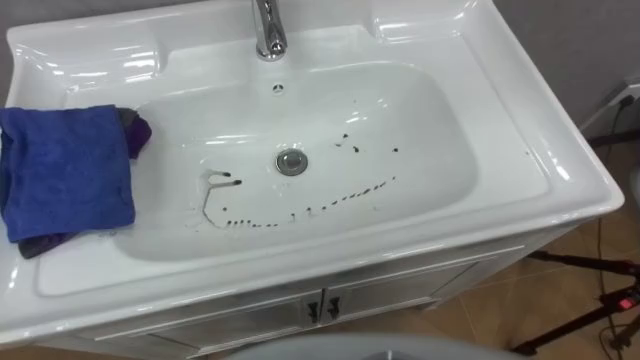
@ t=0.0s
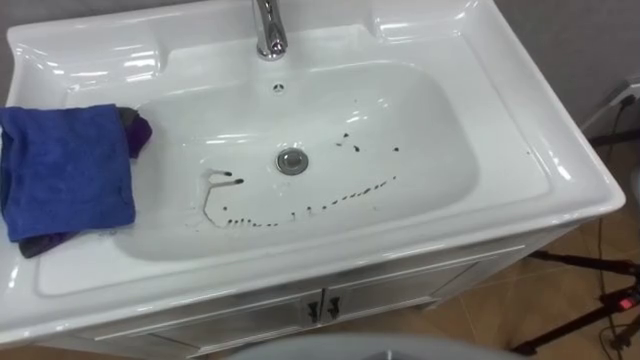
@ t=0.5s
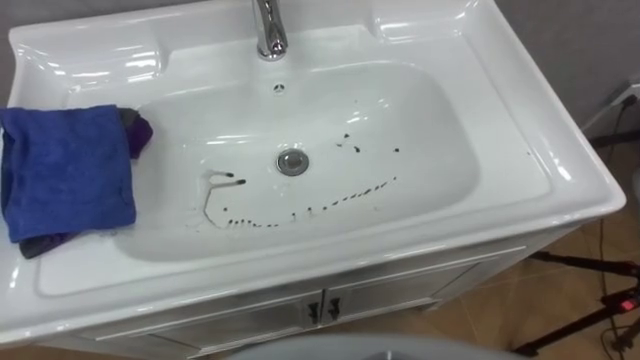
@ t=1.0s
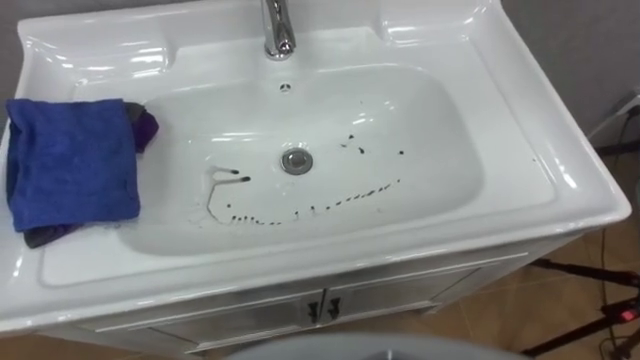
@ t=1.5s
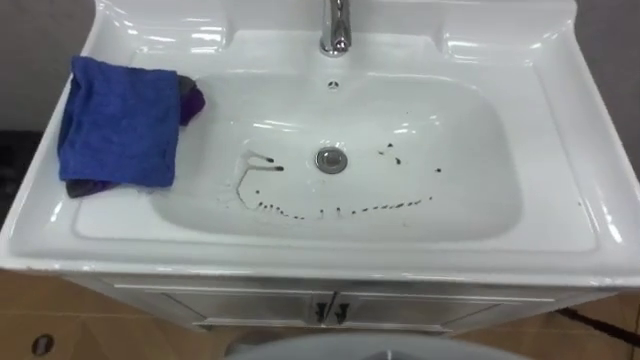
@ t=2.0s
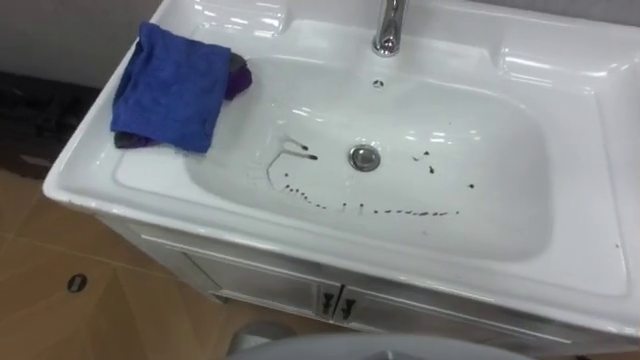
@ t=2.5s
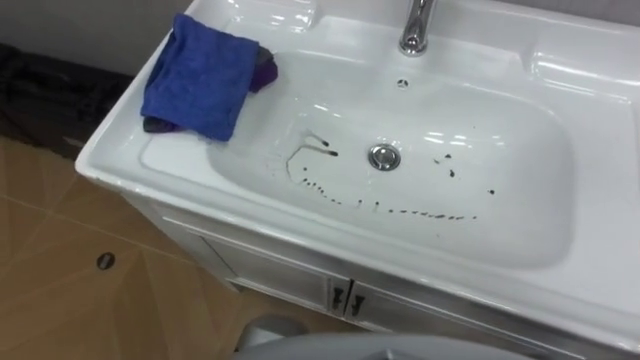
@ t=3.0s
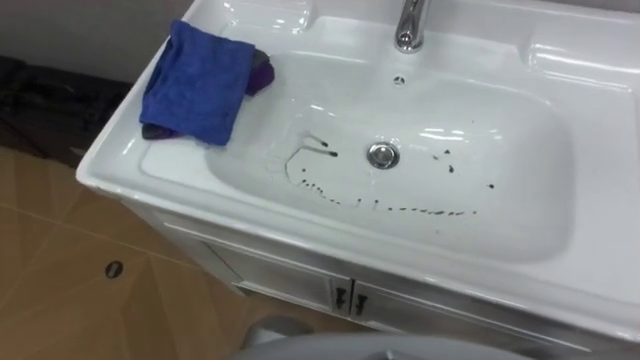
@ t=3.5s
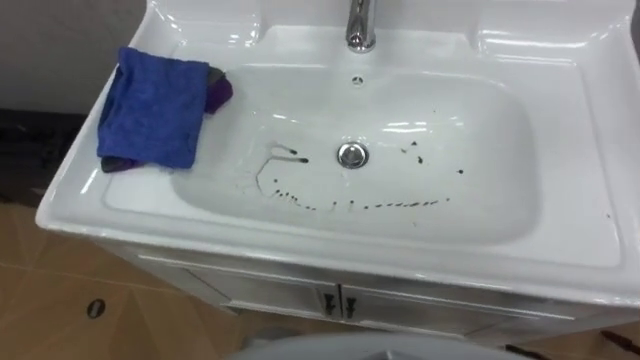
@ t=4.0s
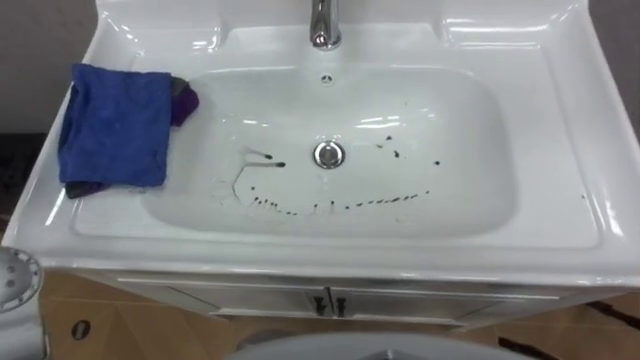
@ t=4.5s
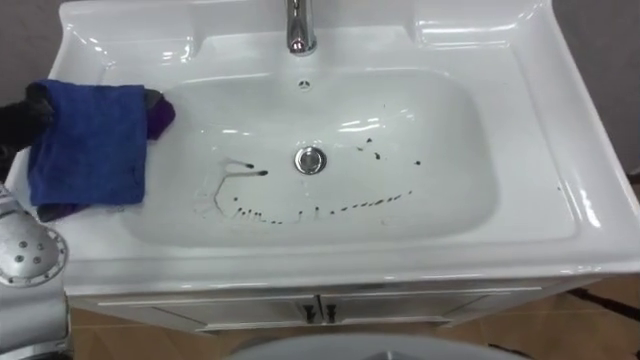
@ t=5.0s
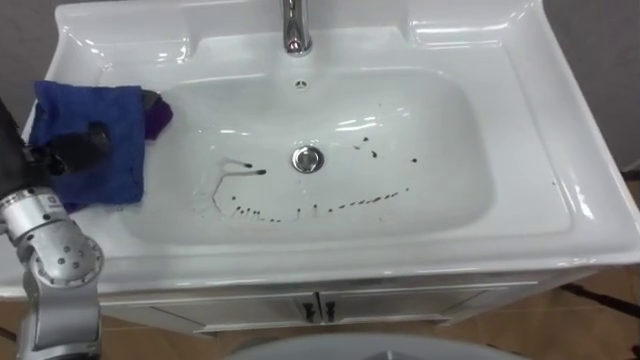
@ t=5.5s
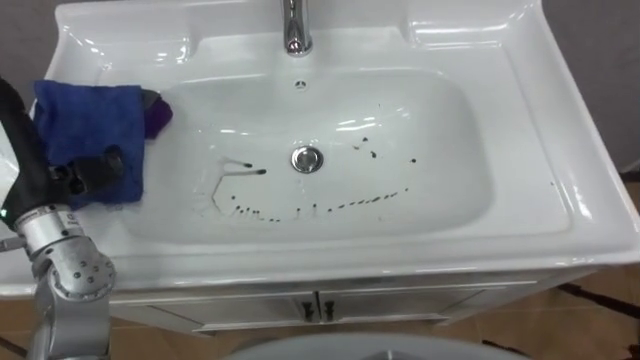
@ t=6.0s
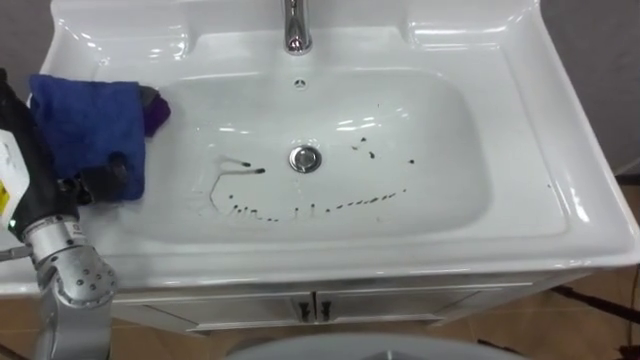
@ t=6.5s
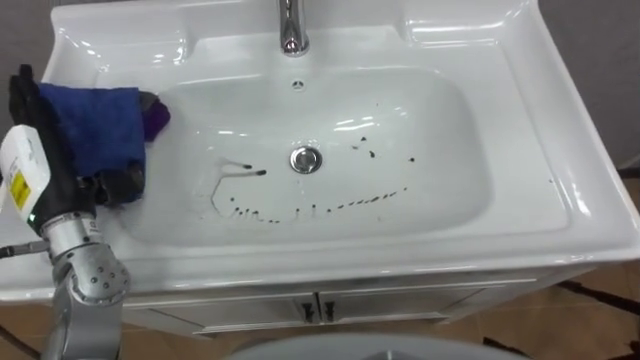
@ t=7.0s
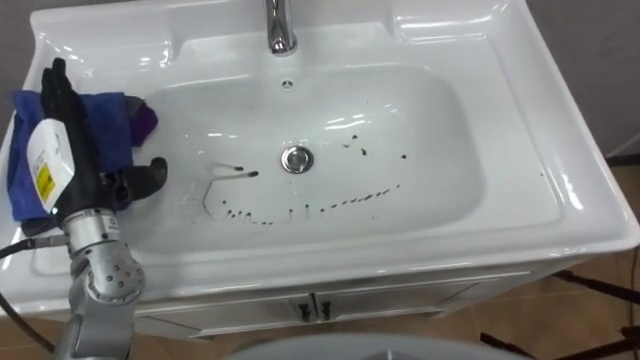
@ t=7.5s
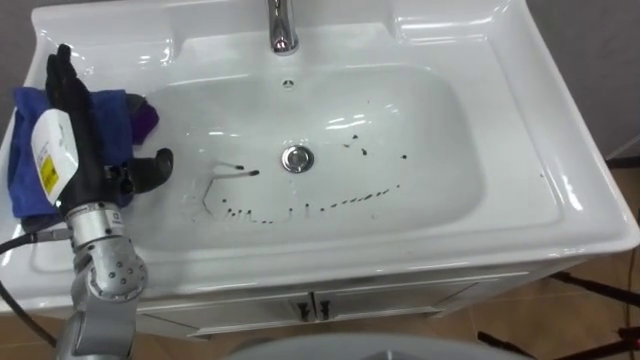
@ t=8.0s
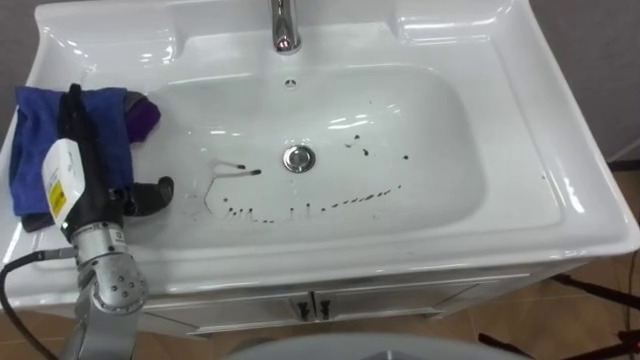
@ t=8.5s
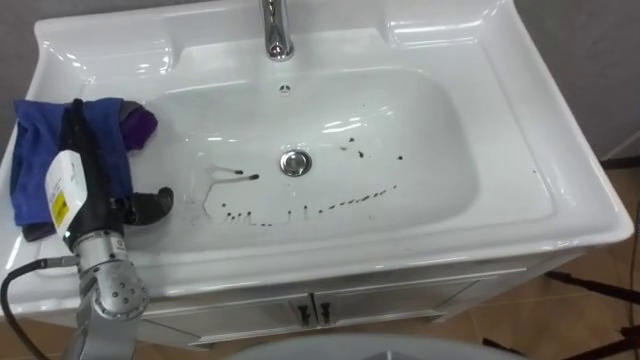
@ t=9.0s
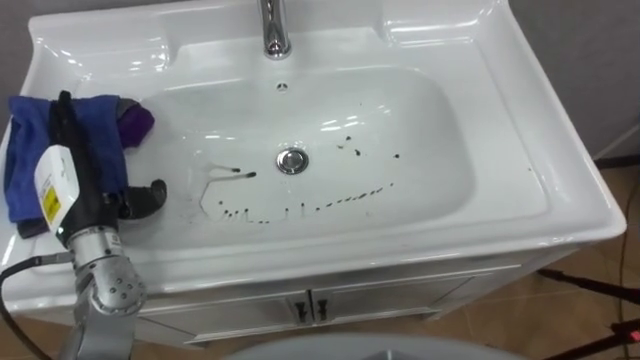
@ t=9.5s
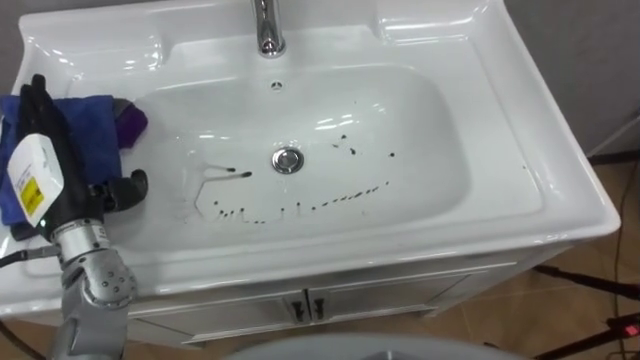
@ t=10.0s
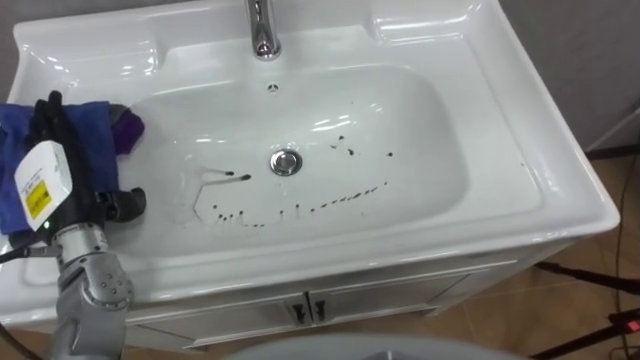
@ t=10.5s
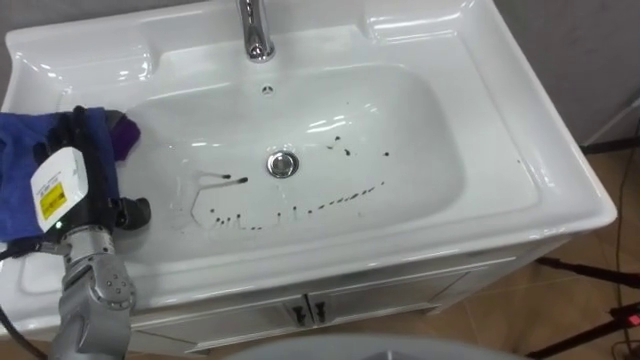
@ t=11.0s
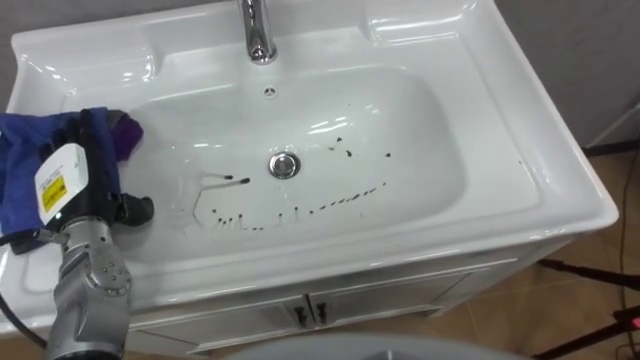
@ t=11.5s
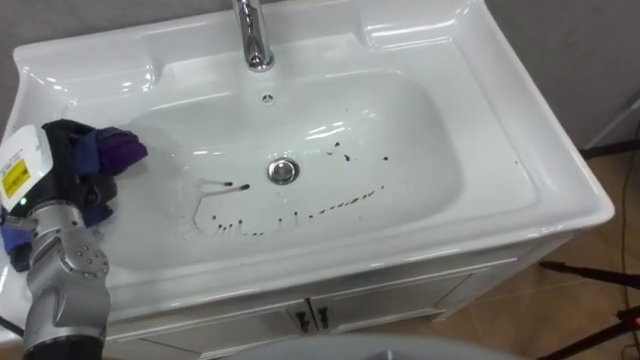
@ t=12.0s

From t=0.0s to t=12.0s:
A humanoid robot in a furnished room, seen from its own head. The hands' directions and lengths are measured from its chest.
Task of the whole recording: Use the cloth on the right to wipe away the black stain in the sink.
From t=6.0s to t=8.0s: The left hand moves about 5 cm.
From t=10.0s to t=12.0s: The left hand closes its fingers.

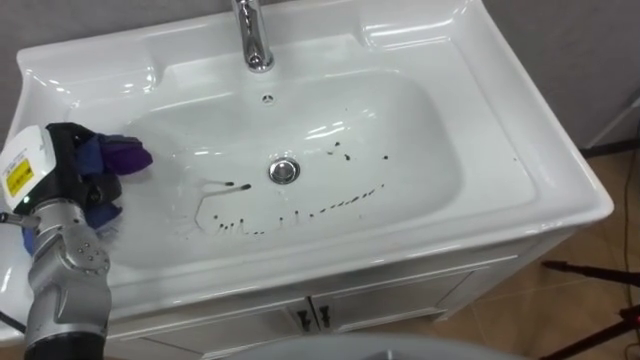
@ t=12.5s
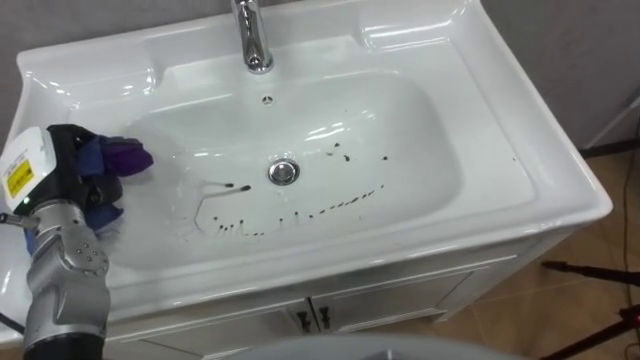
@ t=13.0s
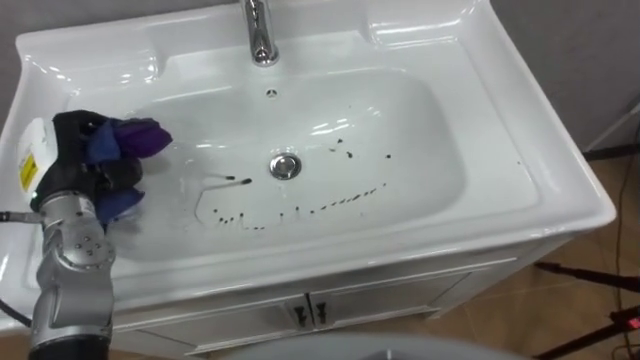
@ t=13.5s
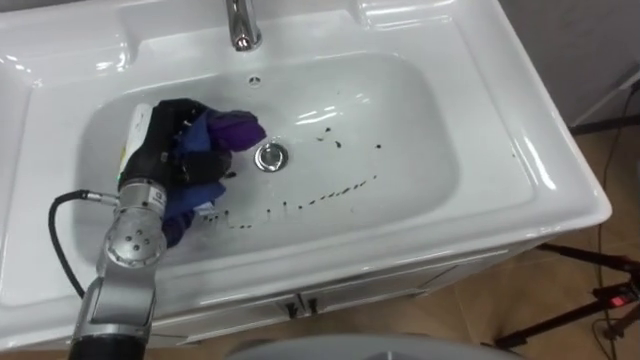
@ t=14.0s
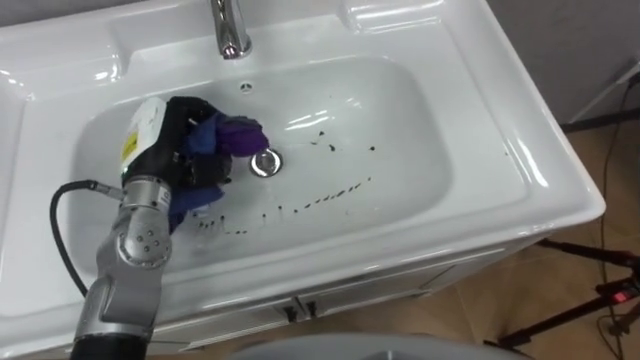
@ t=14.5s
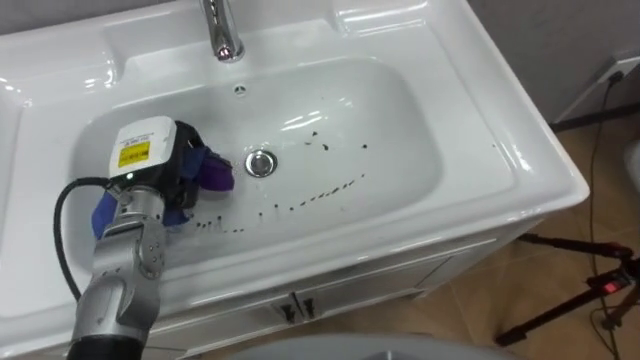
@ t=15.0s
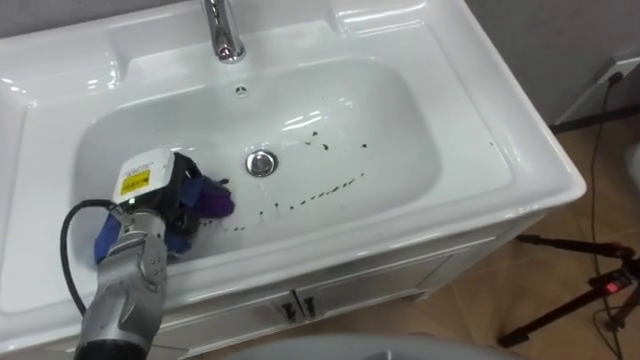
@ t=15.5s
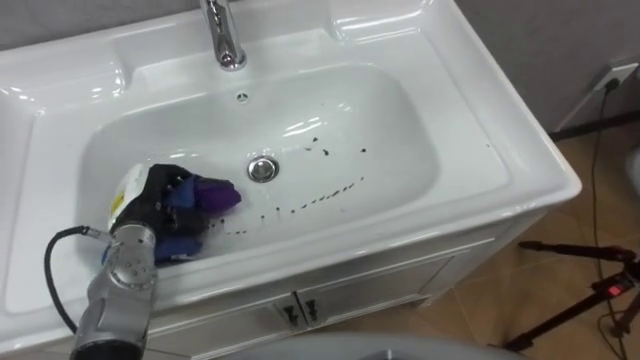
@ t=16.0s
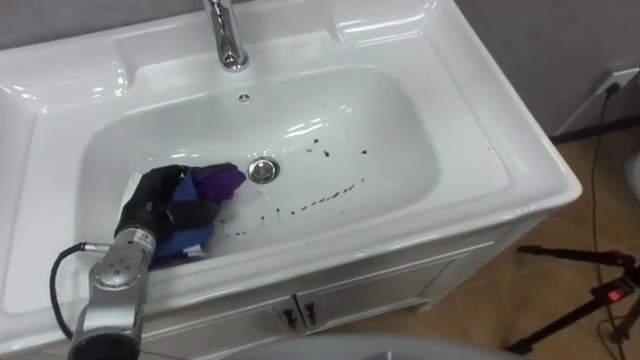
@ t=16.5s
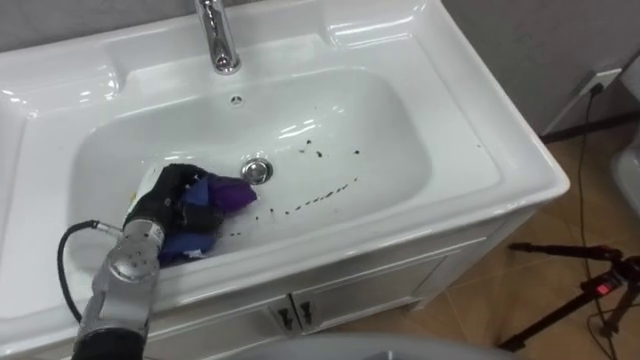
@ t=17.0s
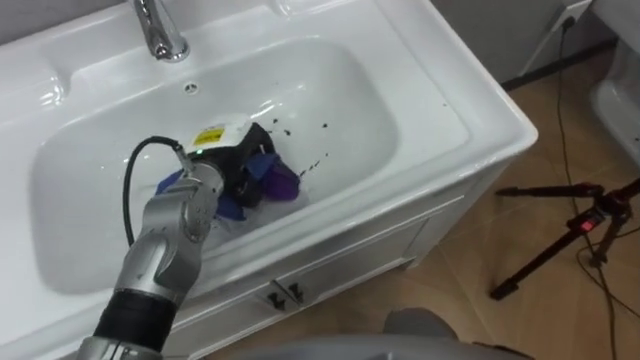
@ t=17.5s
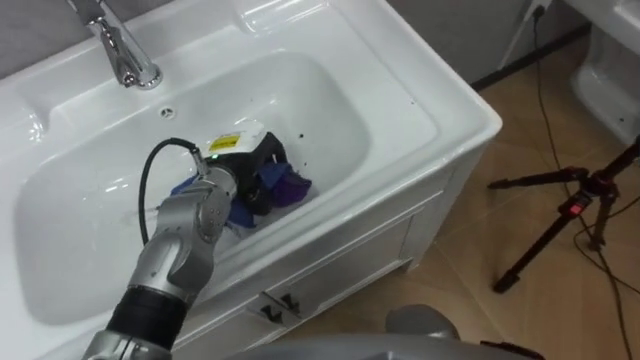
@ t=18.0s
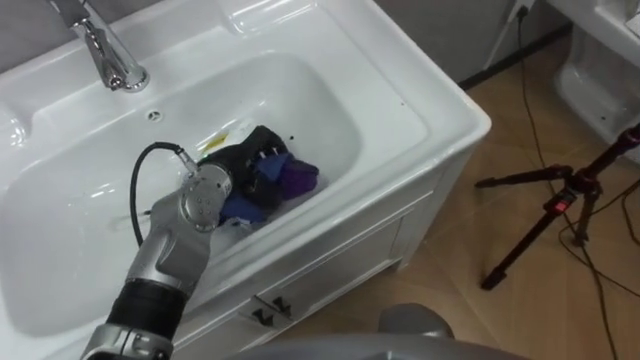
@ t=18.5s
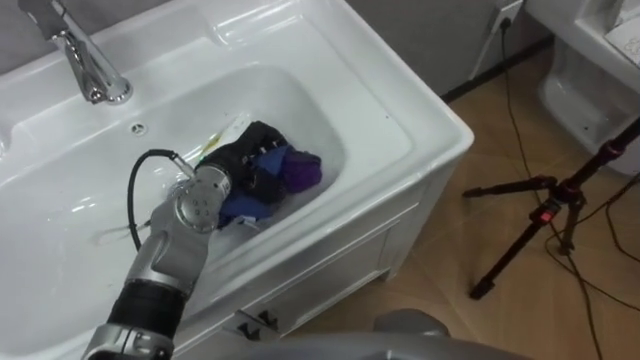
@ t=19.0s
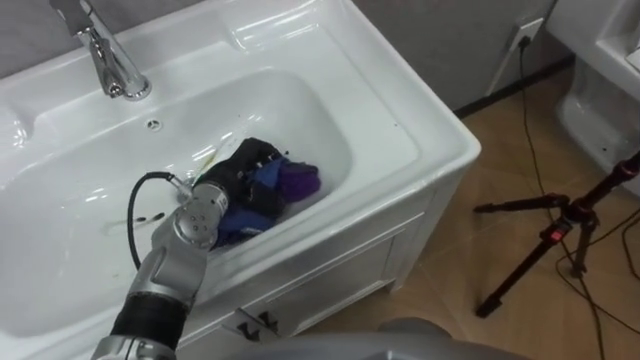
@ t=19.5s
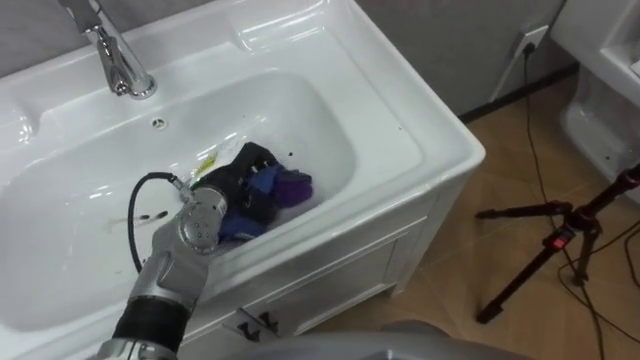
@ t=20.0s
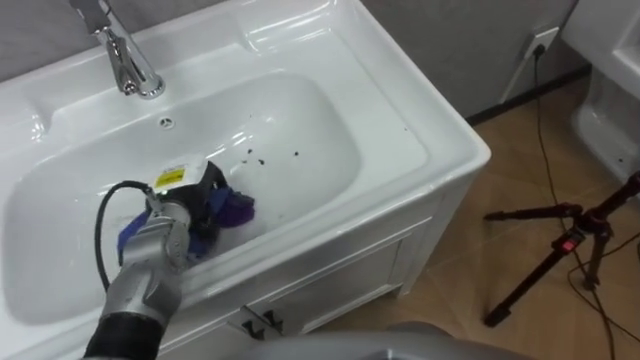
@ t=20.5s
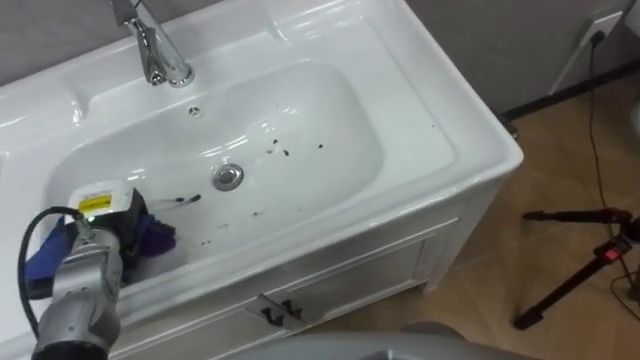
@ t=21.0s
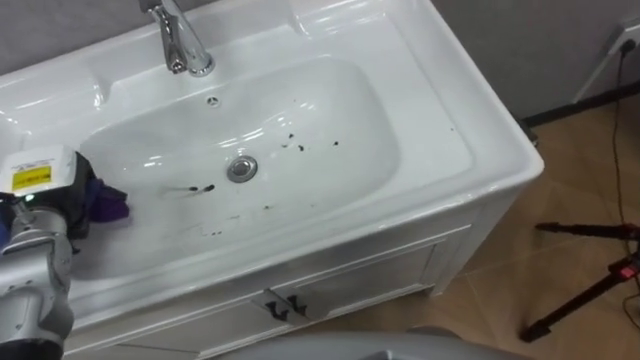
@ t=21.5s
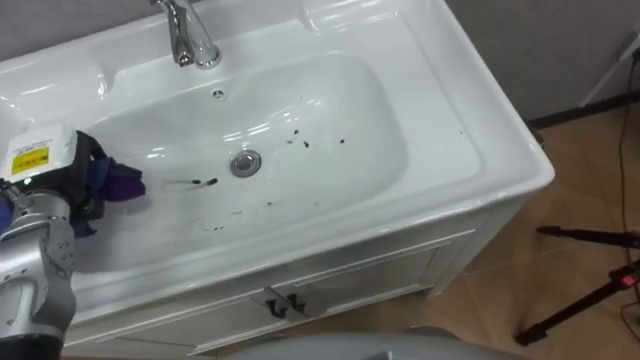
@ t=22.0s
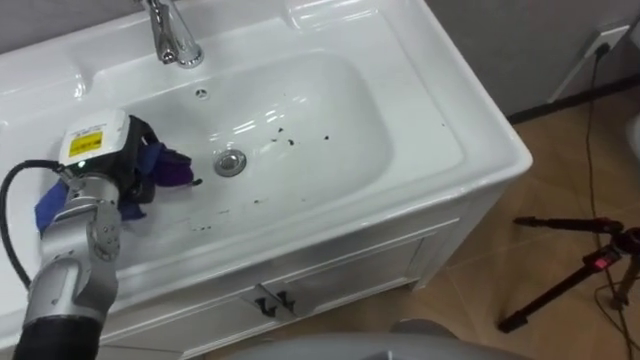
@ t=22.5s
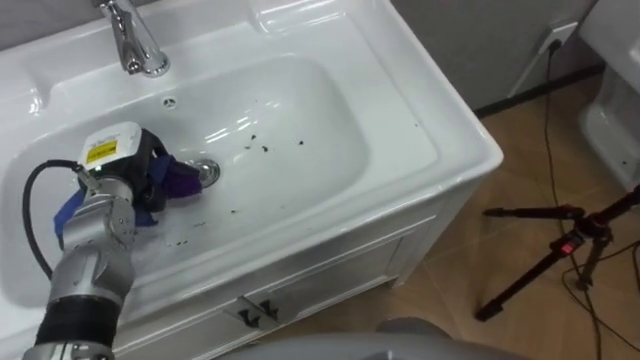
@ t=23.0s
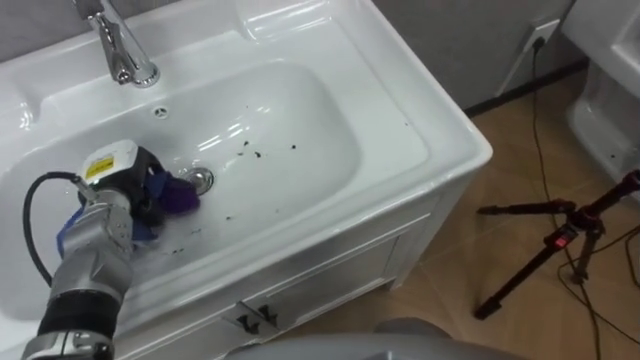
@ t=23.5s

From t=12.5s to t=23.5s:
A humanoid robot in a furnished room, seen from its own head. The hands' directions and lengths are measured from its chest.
Task of the whole recording: Use the cloth on the right to wipe away the black stain in the sink.
From t=12.5s to t=14.5s: The left hand heads to the right, covering approximately 10 cm.
From t=14.5s to t=16.0s: The left hand travels downward by some 10 cm.
From t=16.0s to t=18.0s: The left hand travels to the right and forward by about 15 cm.
From t=20.0s to t=21.5s: The left hand shifts some 20 cm to the left.
From t=21.5s to t=23.5s: The left hand goes roughly 5 cm to the right.
